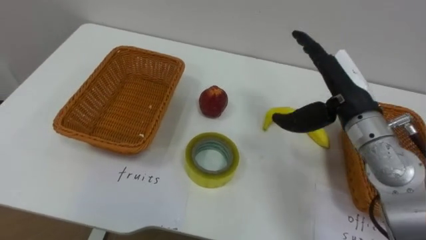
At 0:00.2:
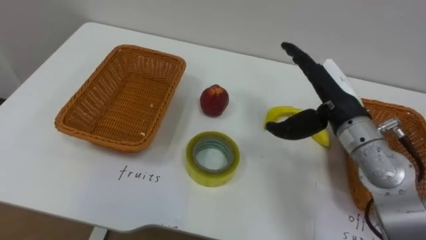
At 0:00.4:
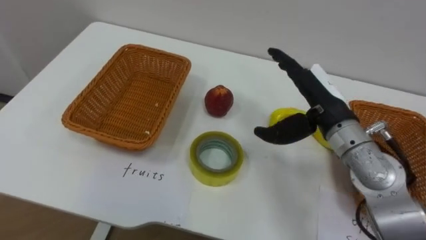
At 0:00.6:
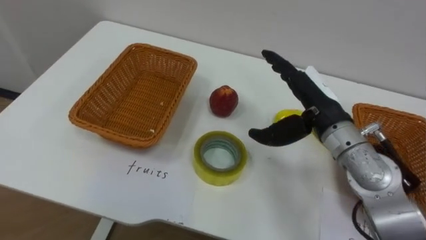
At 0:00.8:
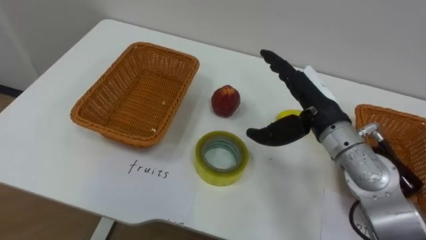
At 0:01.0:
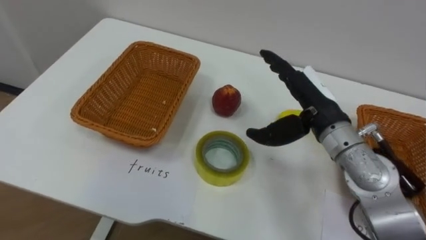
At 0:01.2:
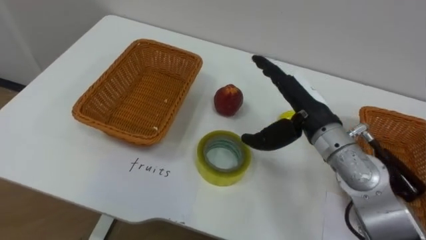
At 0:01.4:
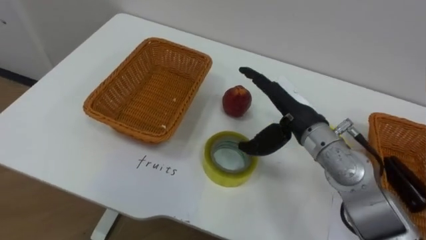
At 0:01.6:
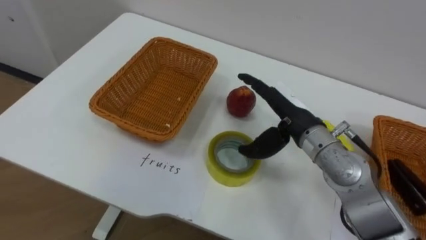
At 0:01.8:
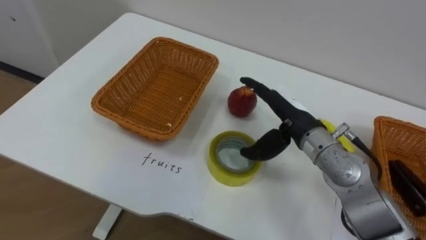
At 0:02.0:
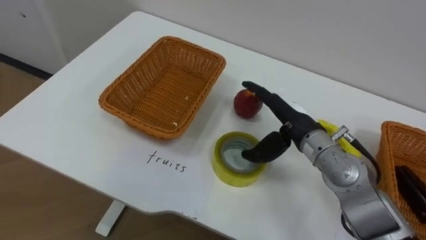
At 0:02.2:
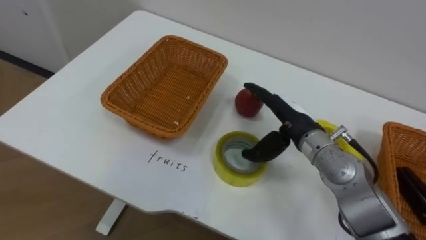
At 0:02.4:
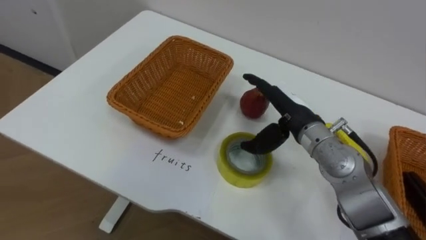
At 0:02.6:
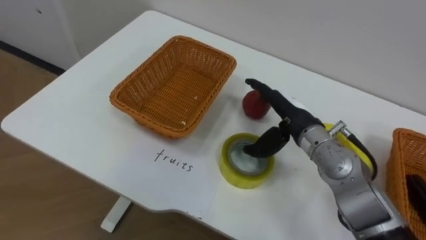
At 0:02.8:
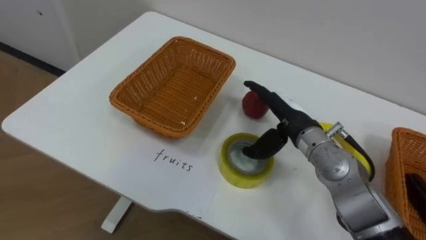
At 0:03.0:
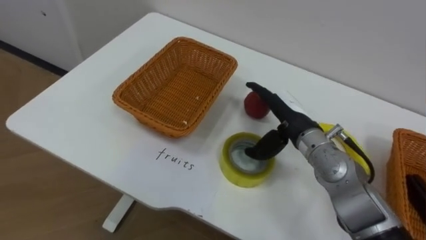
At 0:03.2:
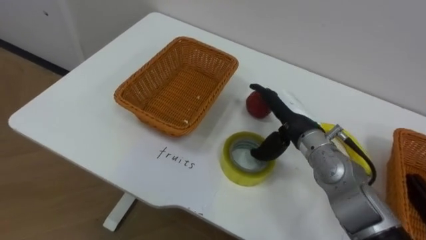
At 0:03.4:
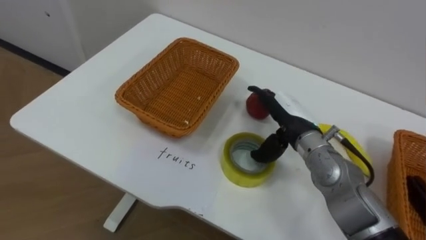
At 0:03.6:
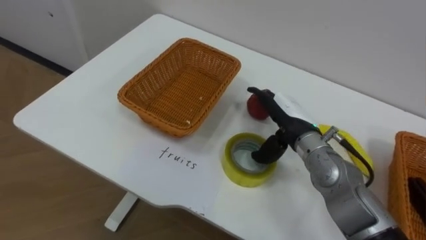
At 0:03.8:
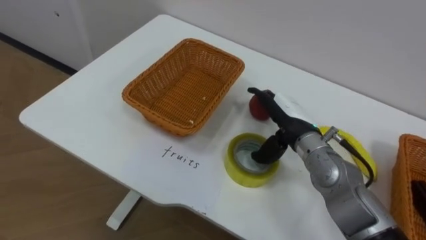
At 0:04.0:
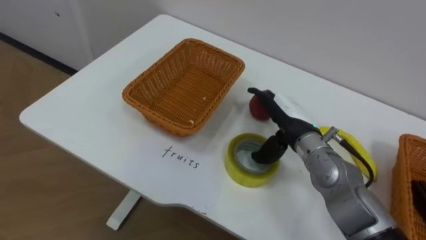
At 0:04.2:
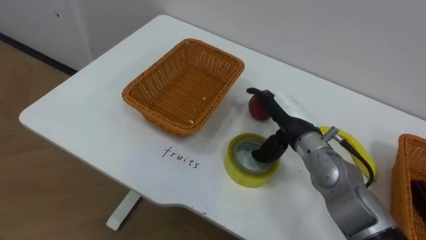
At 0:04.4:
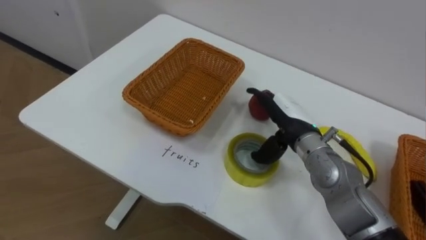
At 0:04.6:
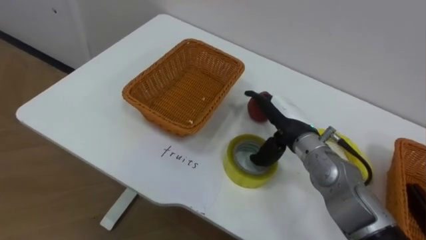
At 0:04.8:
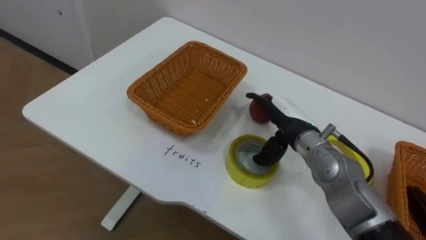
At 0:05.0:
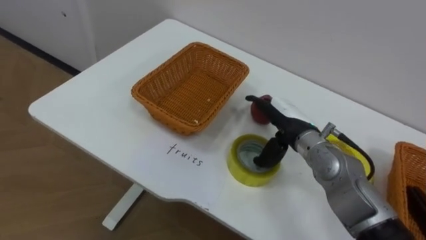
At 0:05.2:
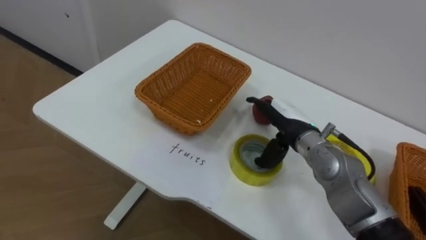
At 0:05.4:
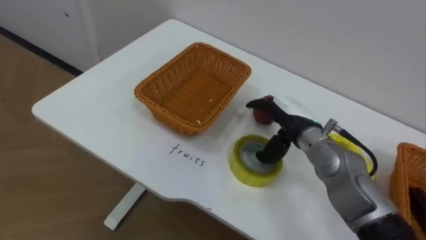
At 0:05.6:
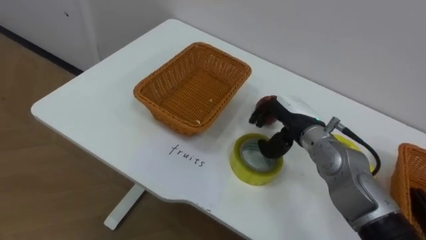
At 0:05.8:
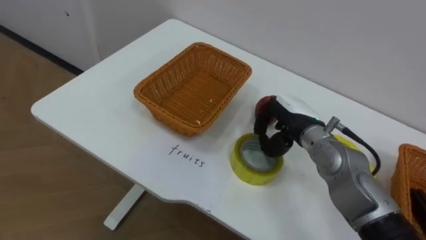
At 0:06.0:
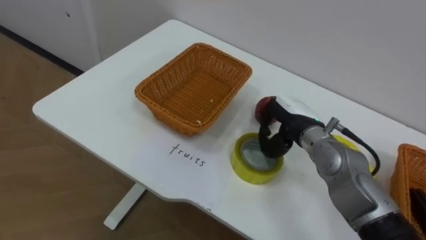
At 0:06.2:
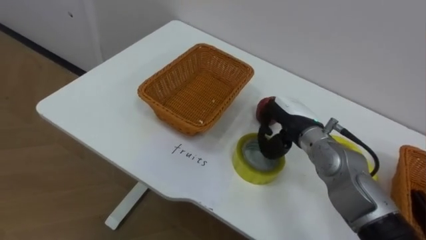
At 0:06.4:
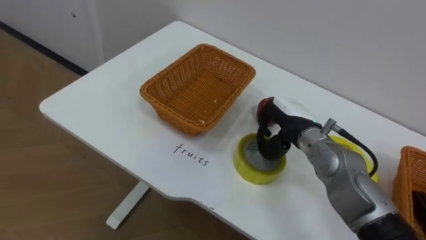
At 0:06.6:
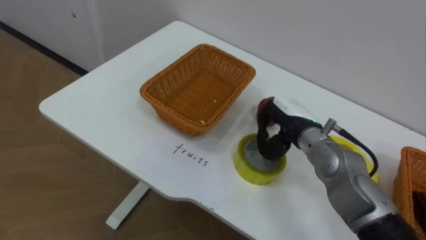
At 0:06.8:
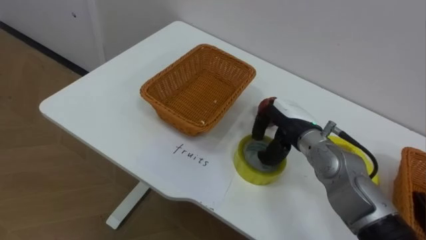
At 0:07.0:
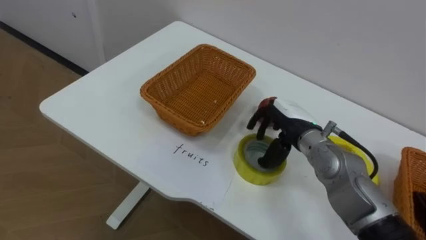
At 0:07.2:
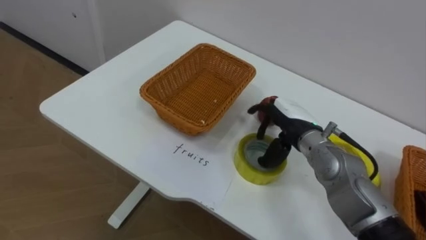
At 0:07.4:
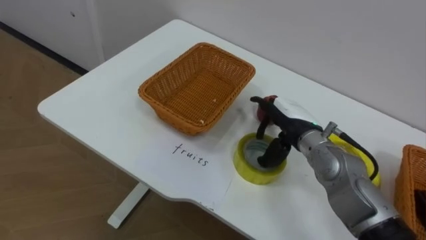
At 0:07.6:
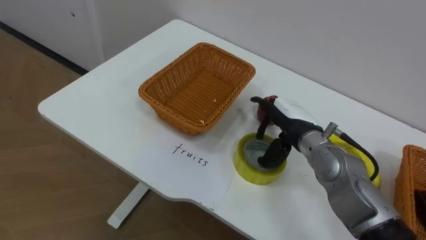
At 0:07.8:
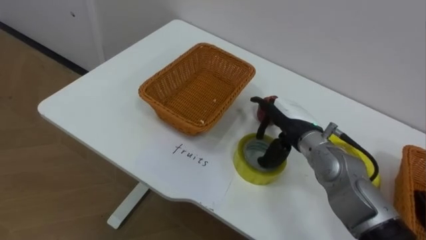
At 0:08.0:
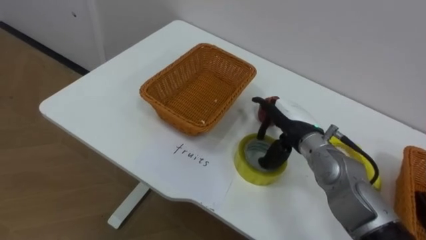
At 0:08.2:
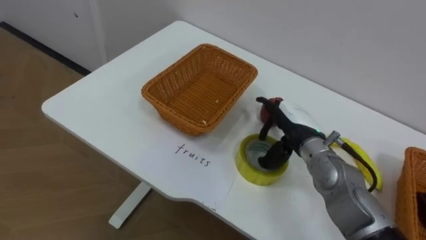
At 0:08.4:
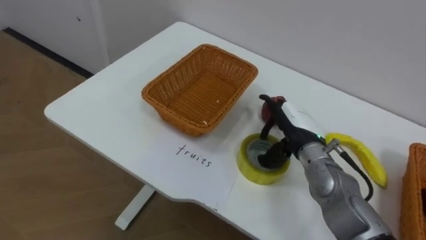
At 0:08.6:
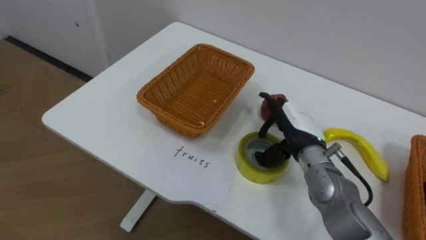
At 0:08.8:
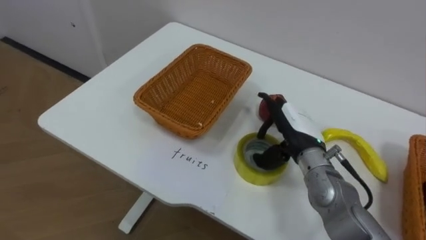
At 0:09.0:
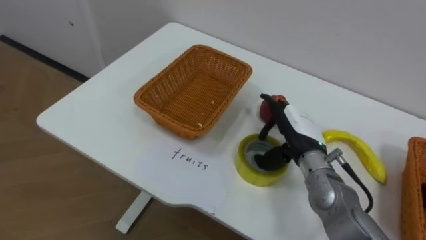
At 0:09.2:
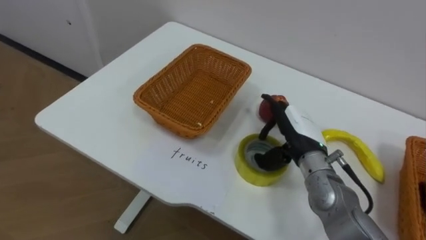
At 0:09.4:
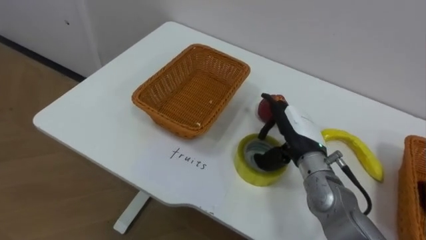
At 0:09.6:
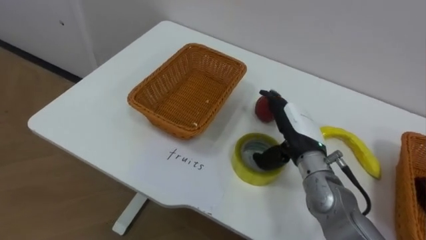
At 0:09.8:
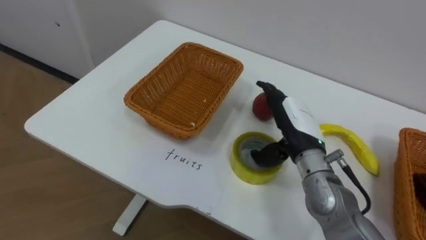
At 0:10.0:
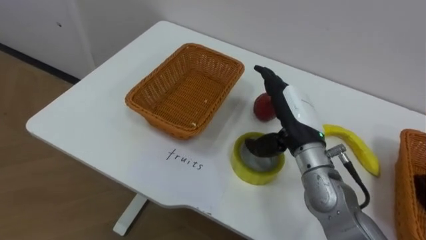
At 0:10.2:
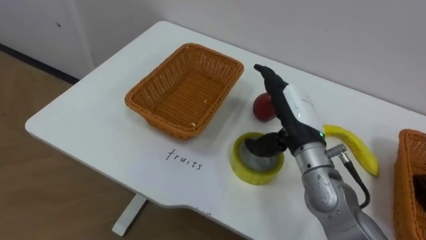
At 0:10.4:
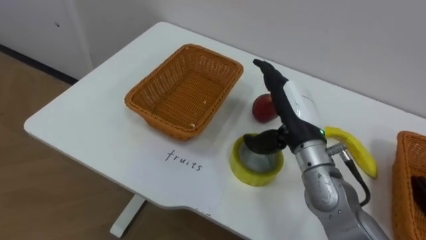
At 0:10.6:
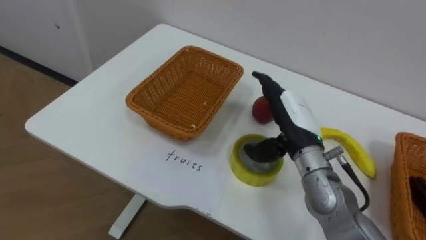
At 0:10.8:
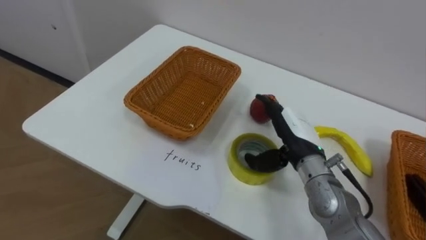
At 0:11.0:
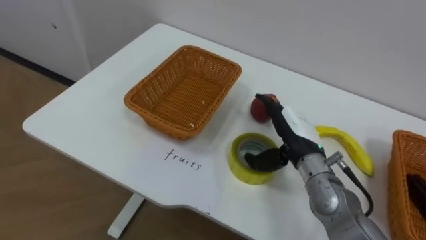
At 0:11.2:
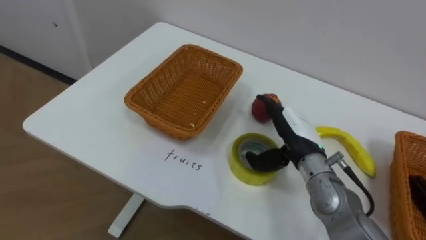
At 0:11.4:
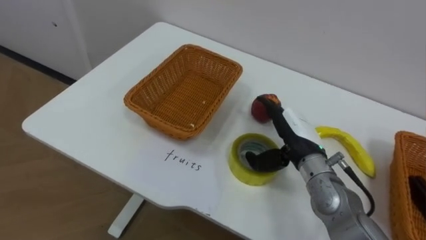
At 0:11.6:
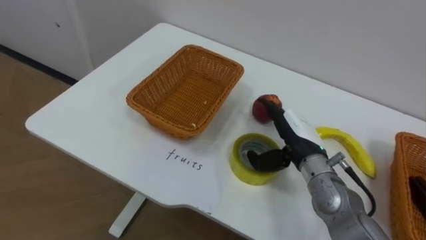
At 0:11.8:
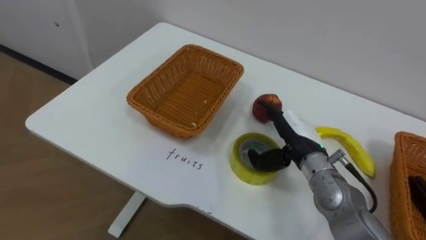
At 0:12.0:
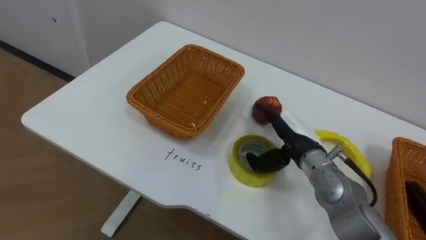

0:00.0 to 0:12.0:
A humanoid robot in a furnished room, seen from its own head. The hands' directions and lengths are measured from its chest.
Task of the whole recording: Separate the items on the table and place them into the two baskets.
0:00.0 to 0:01.6: The right hand goes approximately 10 cm to the left and downward.
0:04.4 to 0:06.0: The right hand closes its fingers.
0:06.0 to 0:07.6: The right hand opens its fingers.
0:09.0 to 0:10.4: The right hand goes some 5 cm upward.
0:10.4 to 0:12.0: The right hand travels downward by approximately 10 cm.

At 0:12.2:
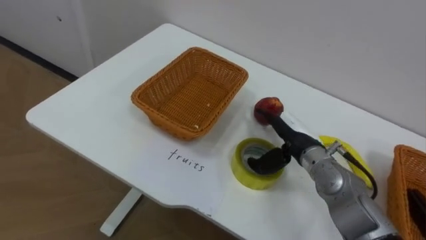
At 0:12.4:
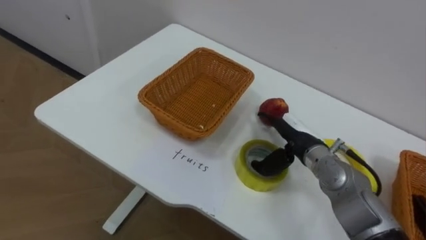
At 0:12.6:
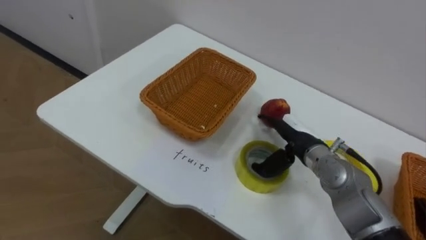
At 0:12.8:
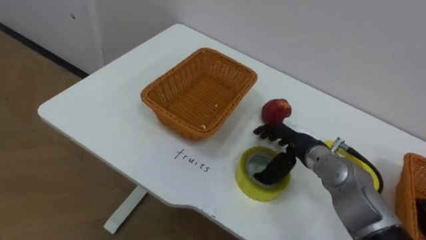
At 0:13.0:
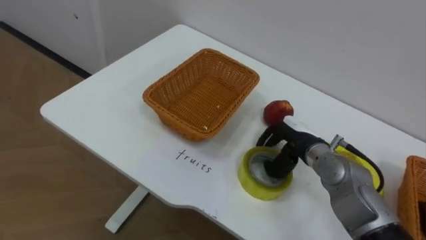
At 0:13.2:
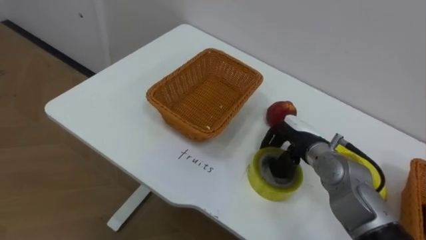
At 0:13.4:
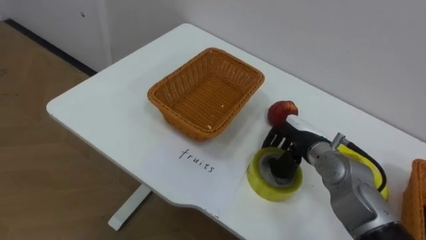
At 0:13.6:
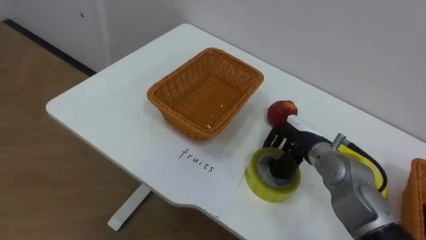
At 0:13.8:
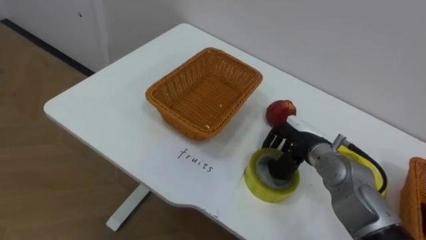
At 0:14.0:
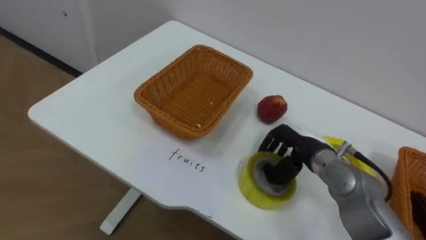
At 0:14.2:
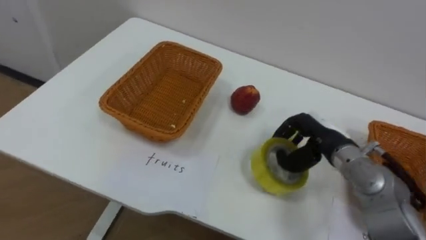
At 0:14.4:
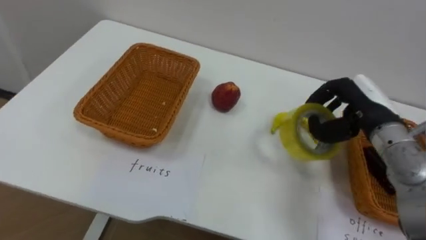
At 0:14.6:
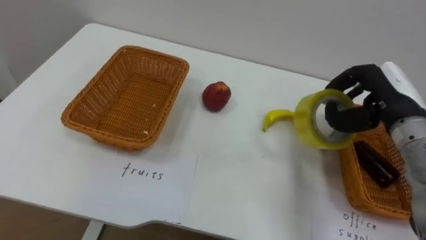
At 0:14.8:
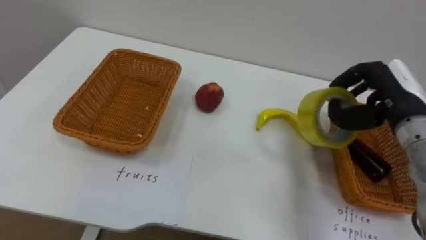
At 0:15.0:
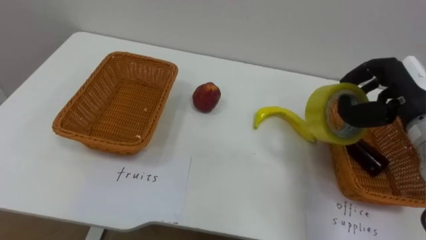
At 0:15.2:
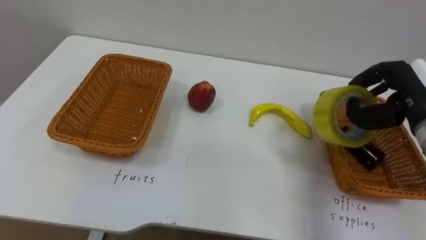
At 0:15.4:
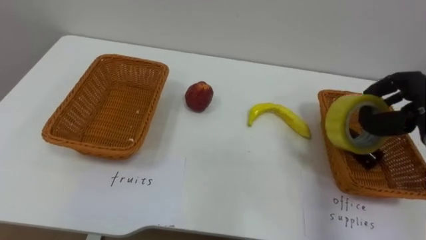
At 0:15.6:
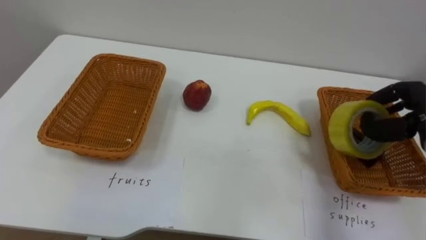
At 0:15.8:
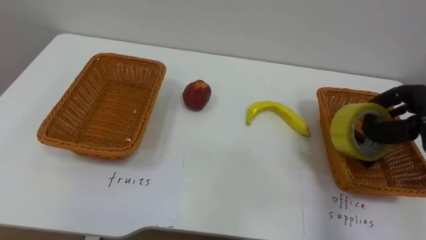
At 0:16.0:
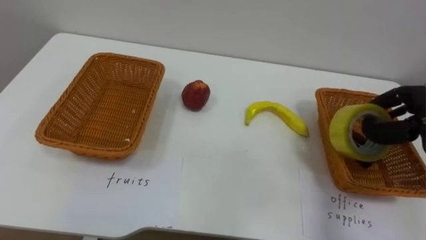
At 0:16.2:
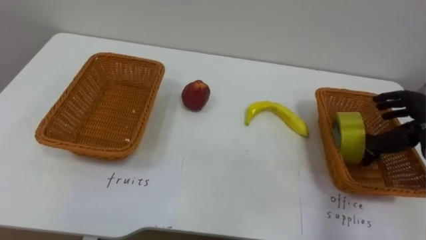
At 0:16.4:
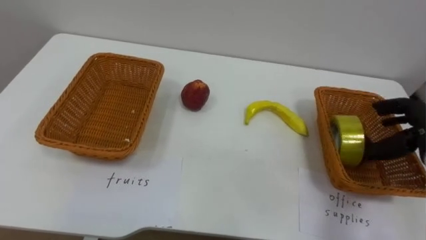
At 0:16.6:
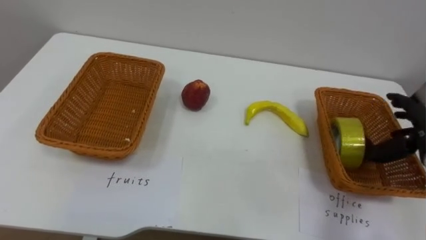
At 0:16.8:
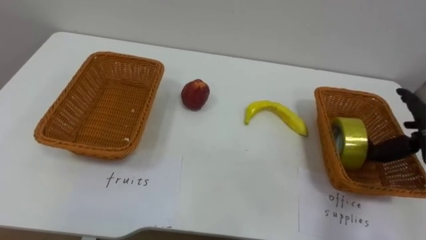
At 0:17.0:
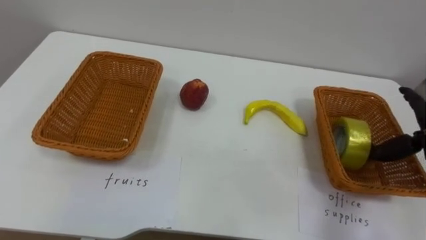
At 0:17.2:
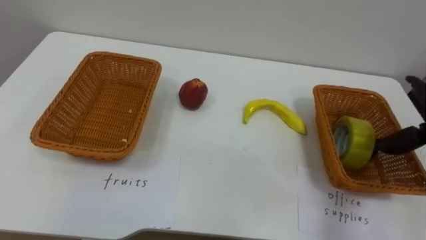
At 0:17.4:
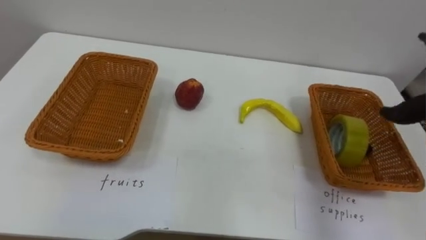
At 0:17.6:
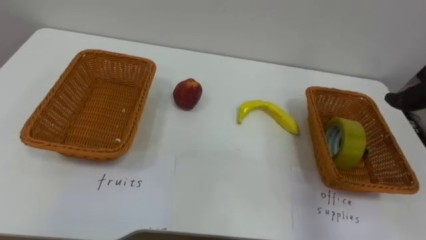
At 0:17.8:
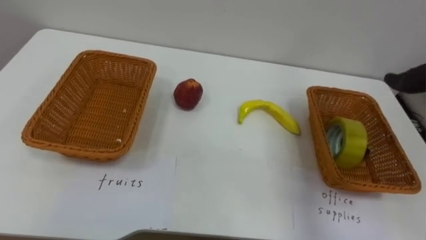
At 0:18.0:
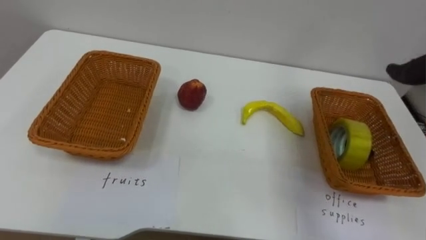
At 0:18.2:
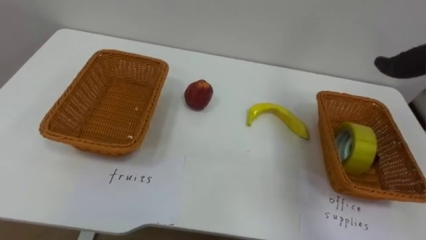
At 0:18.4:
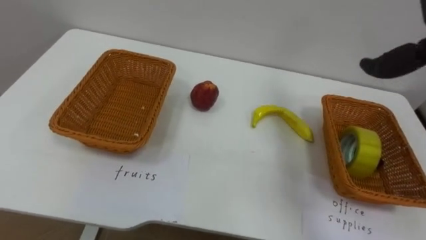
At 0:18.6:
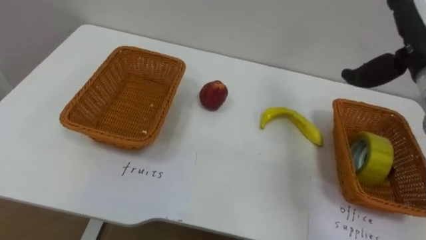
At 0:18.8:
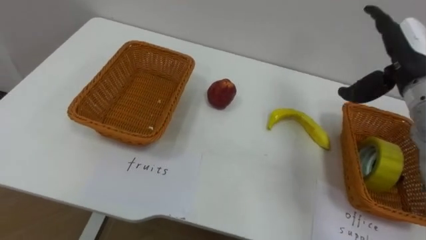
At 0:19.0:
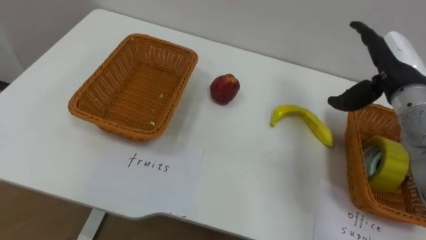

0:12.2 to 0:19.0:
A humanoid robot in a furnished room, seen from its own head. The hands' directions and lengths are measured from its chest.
Task of the whole recording: Separate the items on the table and place them into the two baskets.
0:12.2 to 0:13.6: The right hand closes its fingers.
0:13.6 to 0:15.0: The right hand moves upward and to the right, approximately 20 cm.
